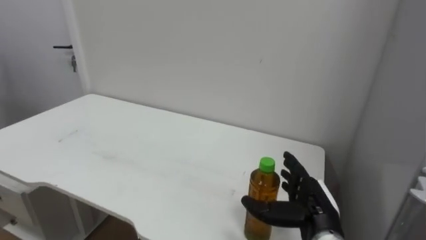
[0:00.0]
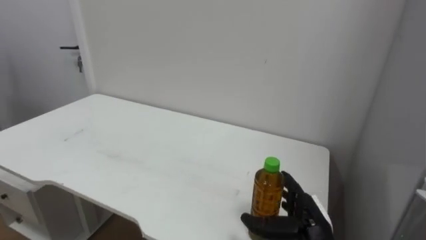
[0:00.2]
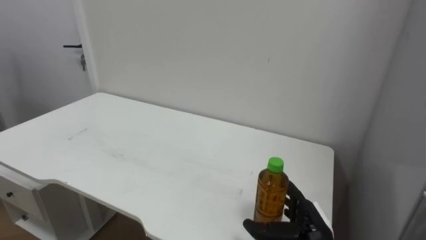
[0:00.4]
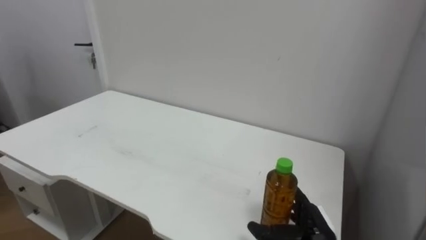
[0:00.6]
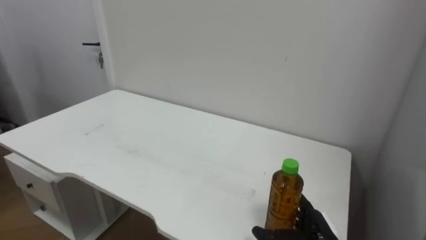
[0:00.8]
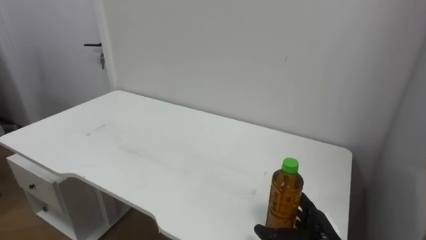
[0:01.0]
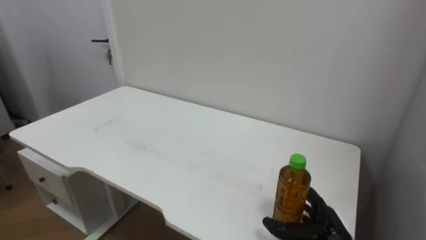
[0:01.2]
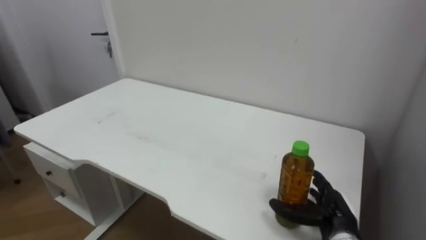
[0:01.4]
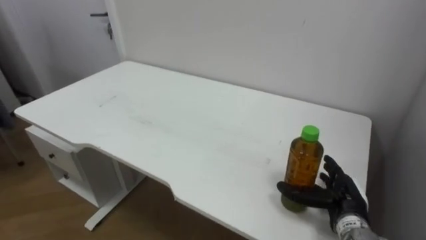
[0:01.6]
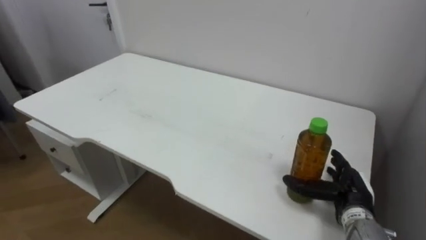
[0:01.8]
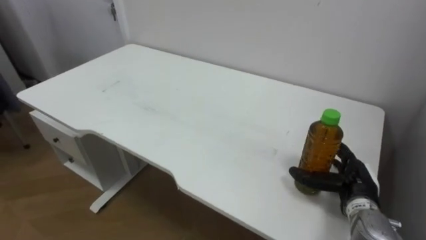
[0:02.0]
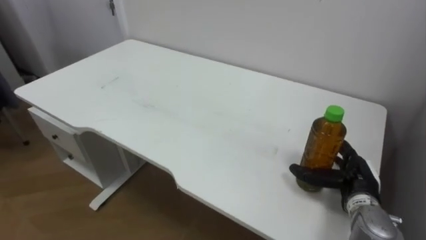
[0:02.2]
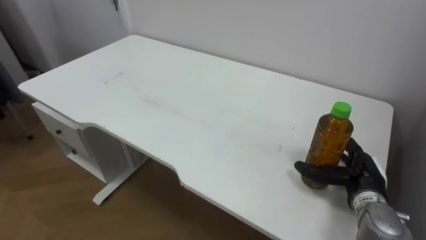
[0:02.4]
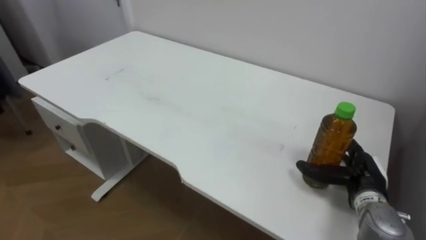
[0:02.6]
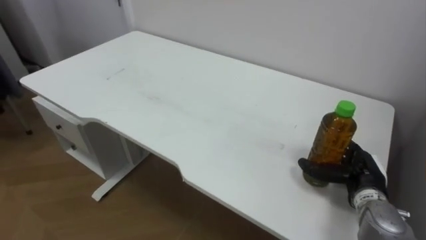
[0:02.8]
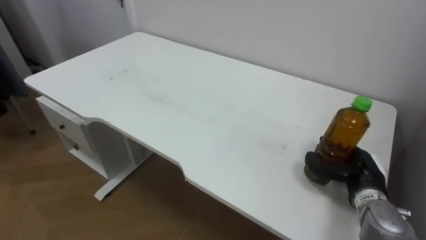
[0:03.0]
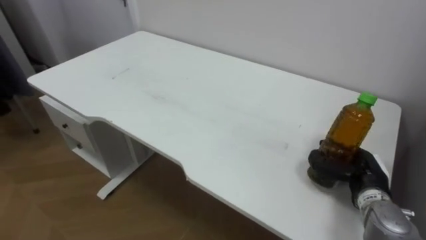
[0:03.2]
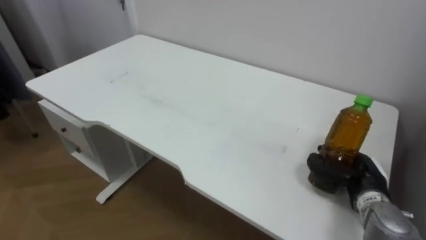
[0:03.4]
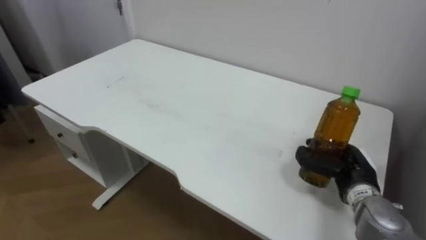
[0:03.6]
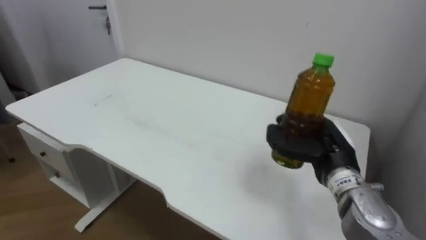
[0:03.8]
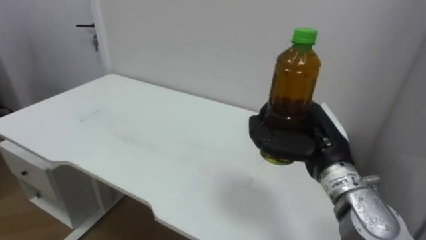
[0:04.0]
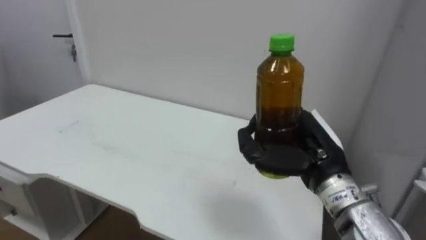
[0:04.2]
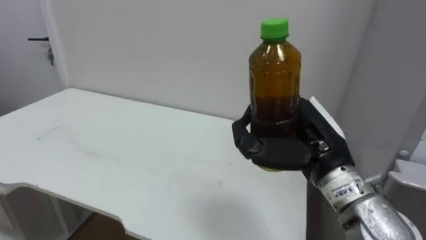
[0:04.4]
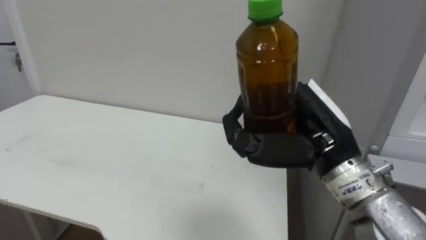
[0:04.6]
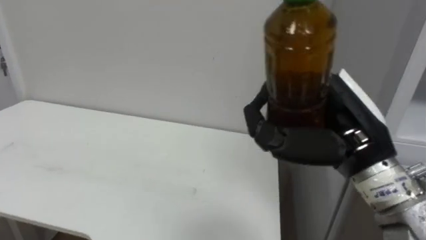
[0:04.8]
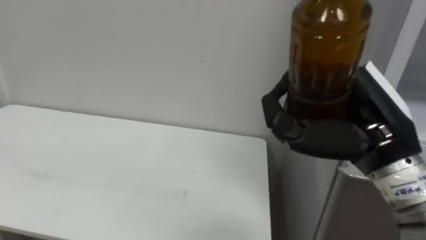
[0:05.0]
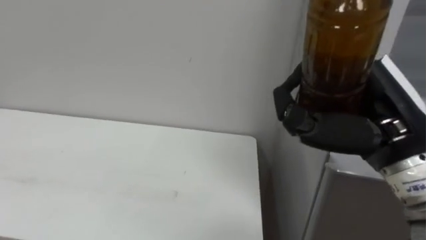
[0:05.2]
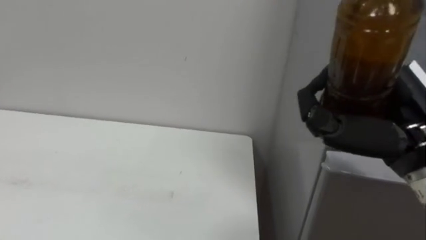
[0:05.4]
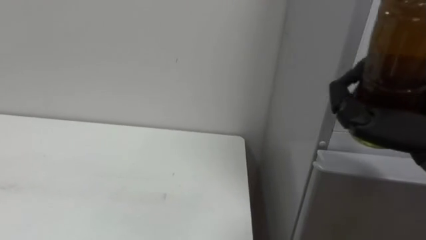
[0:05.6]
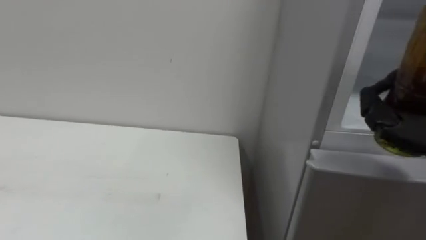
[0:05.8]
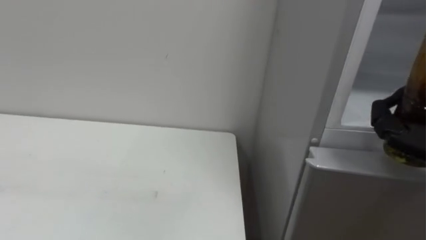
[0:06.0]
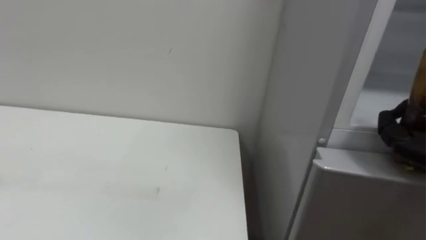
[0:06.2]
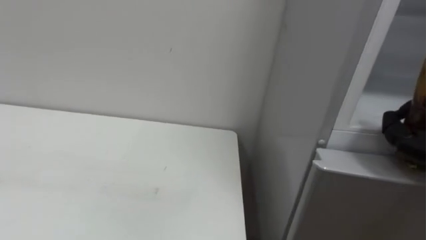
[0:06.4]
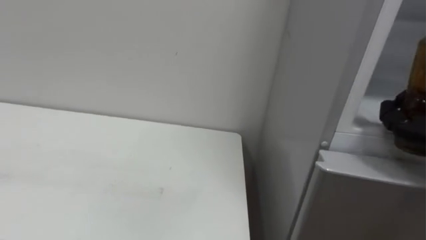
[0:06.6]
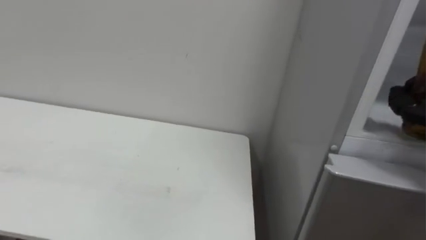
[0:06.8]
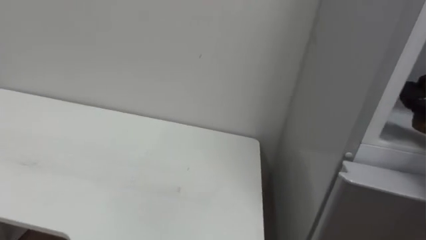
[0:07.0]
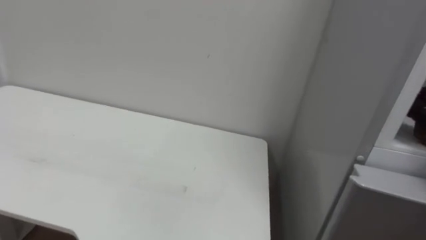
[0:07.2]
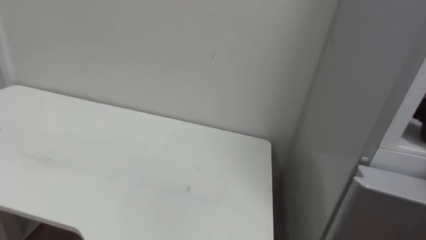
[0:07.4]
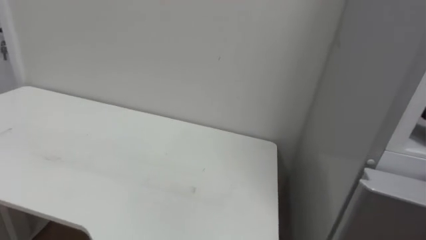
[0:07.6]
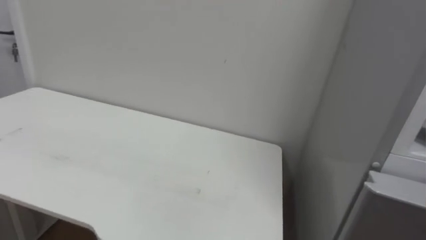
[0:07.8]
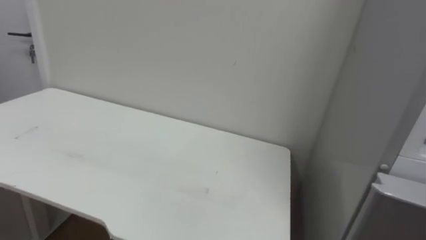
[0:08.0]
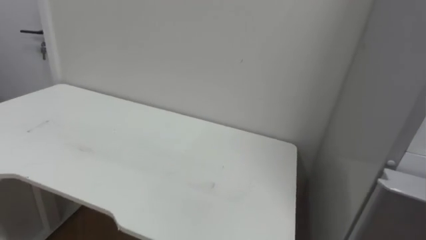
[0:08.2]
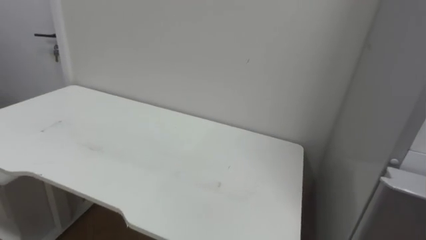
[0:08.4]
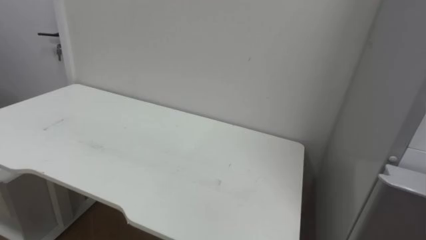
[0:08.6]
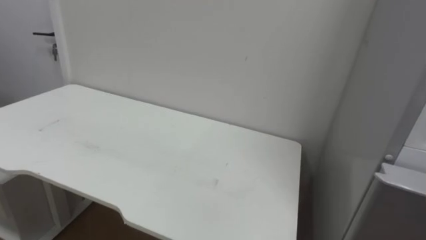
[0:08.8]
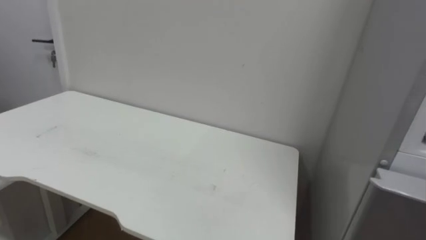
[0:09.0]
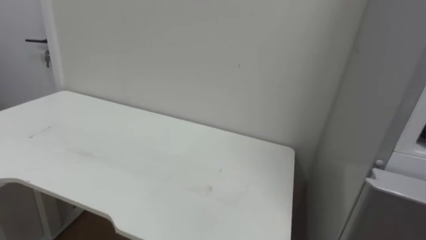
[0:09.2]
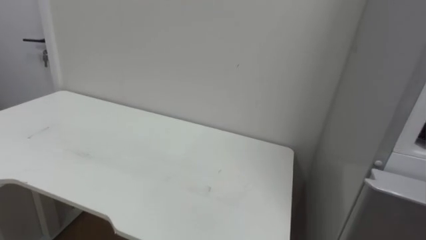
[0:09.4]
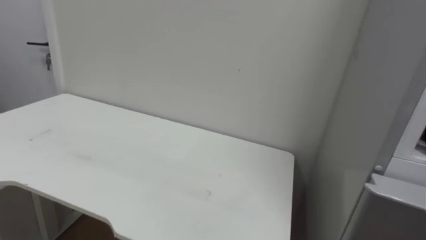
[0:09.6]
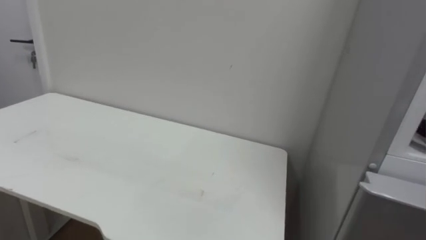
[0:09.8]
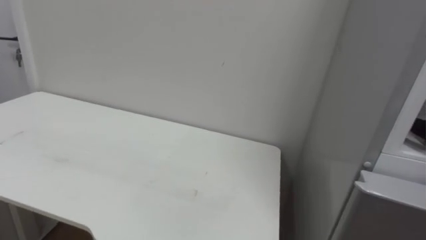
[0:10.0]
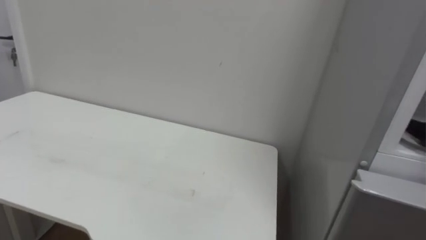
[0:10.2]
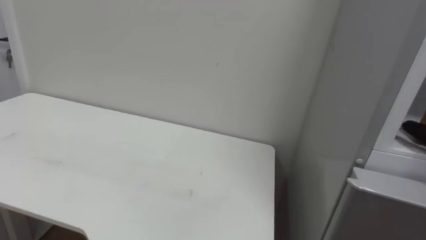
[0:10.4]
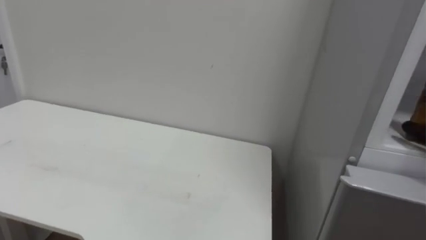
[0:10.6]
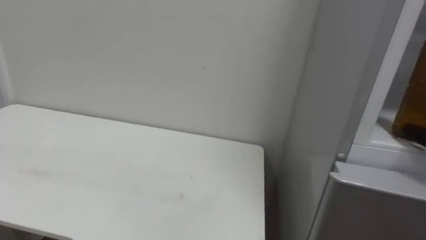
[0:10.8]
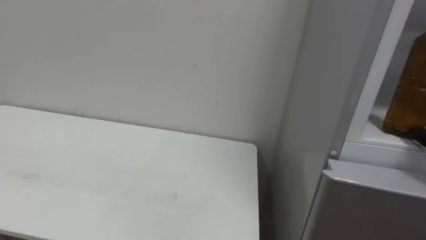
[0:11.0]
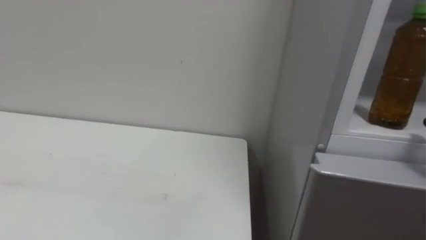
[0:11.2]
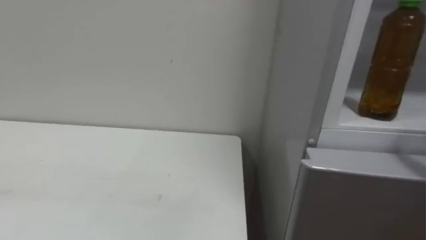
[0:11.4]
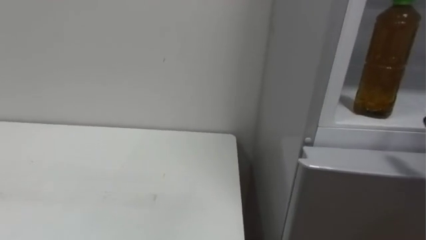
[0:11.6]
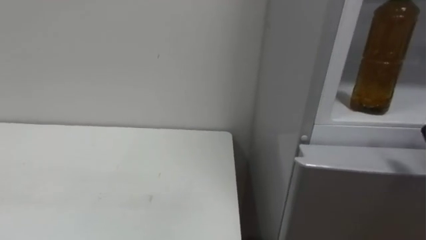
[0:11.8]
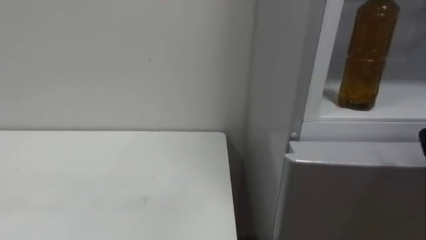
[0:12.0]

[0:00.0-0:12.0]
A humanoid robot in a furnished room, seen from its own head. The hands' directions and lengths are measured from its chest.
Task of the whole recording: Open the upper refrigerator door, put the drink from the table into the refrigerator, and then close the refrigerator door.
0:00.0 to 0:01.6: The right hand is displaced to the right by some 5 cm.
0:01.6 to 0:03.0: The right hand moves approximately 5 cm, and closes up.
0:03.0 to 0:04.4: The right hand moves upward, to the left and backward, about 20 cm, and closes its fingers.

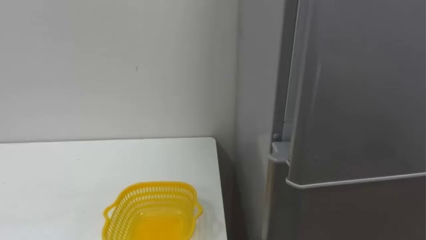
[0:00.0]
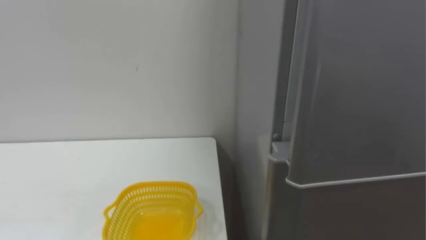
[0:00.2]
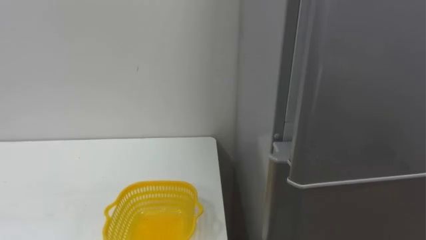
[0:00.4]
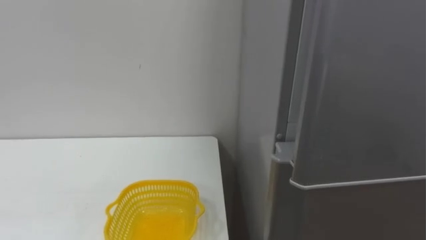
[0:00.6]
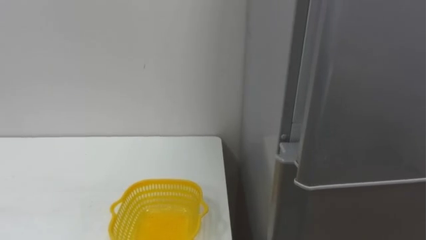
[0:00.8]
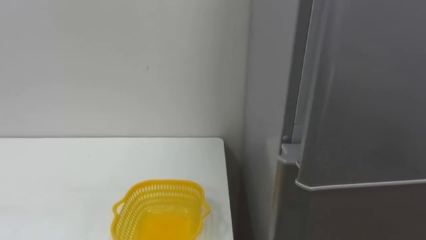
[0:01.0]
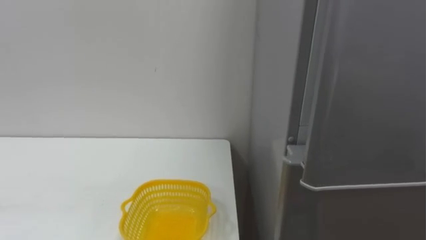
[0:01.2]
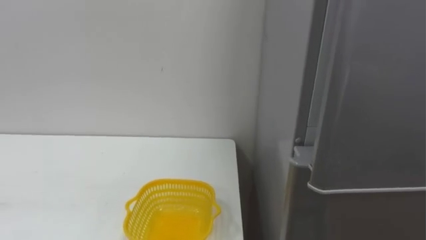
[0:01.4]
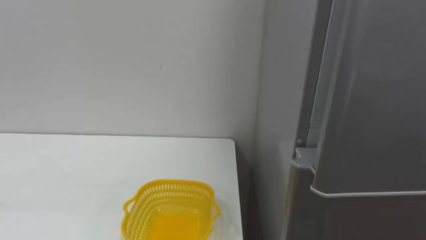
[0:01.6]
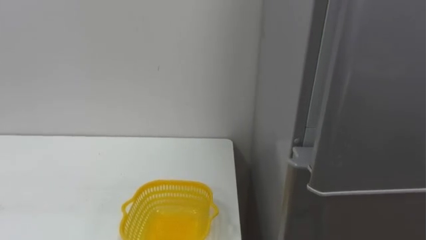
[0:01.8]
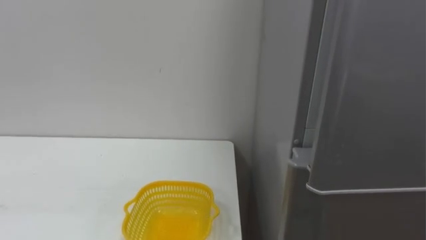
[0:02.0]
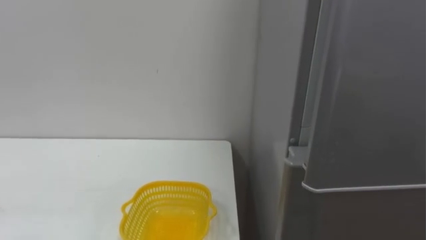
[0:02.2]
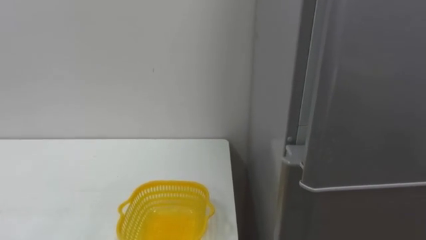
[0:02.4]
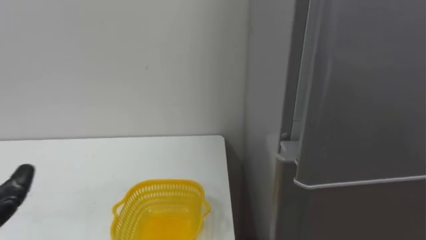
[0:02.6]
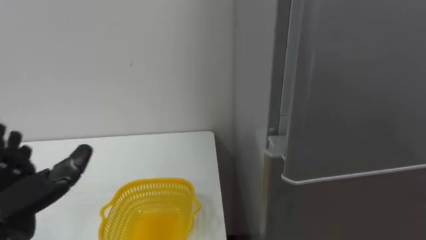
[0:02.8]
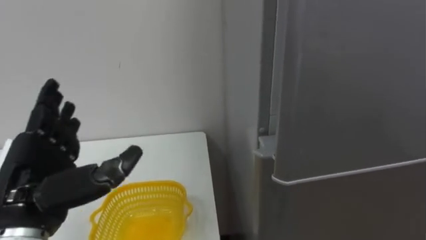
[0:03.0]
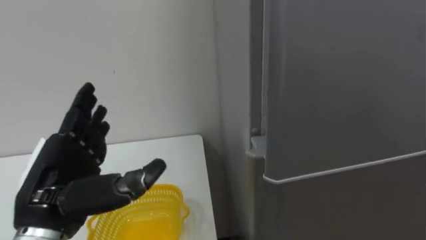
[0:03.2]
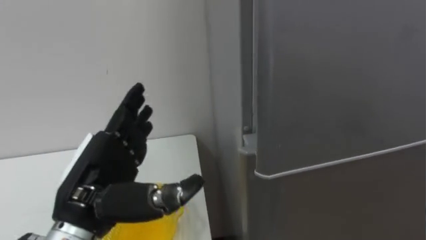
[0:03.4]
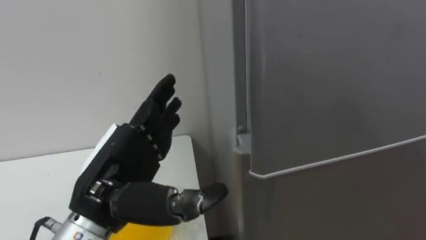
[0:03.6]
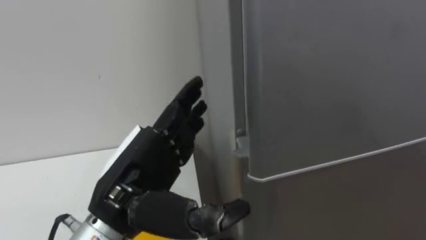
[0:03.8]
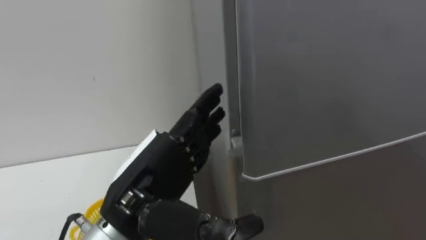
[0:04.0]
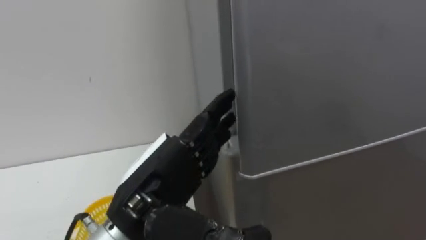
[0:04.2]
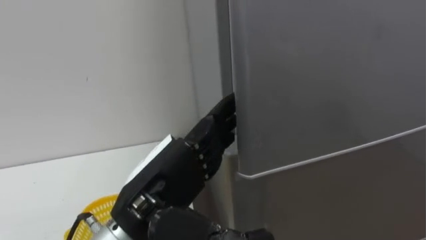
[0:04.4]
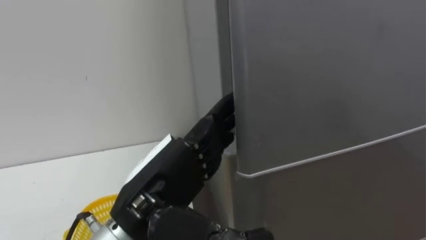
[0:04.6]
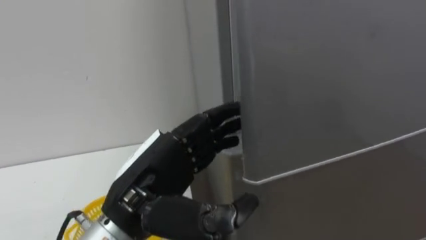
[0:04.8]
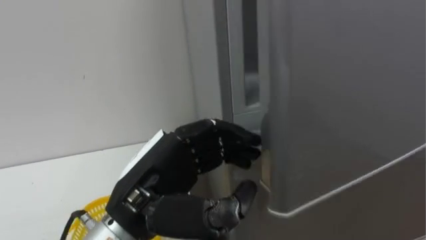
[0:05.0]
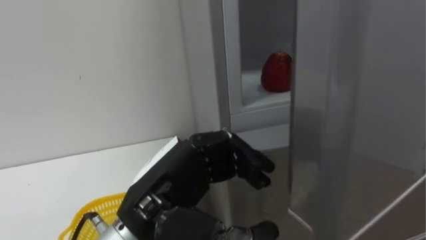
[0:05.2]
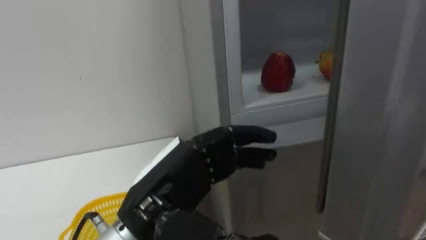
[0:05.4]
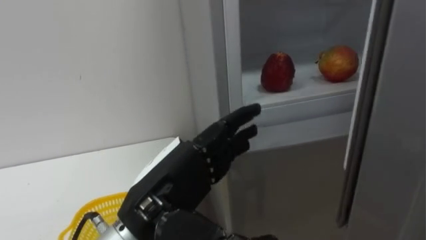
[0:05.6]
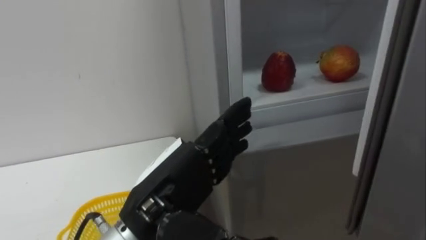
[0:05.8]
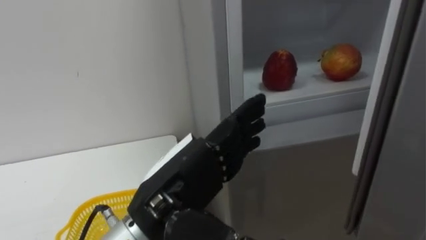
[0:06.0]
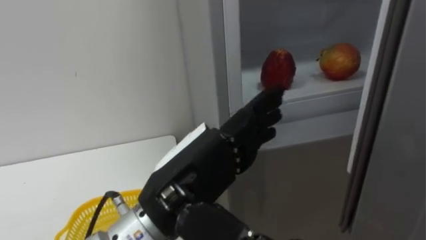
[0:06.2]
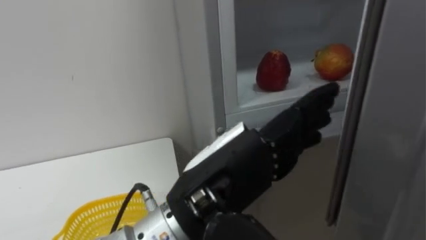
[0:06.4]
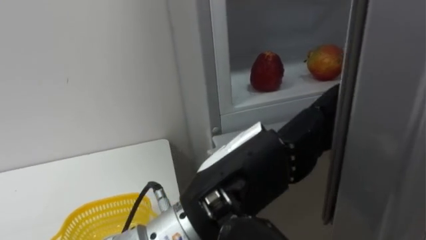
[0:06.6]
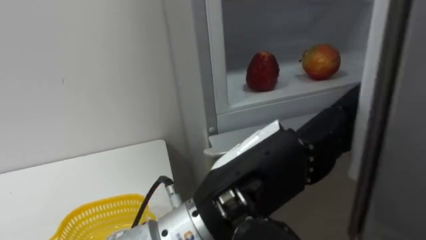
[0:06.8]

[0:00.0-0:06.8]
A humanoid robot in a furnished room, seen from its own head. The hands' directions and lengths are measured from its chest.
Task of the whole recording: Open the refrigerator door, take out the apple and the pomegranate, place them in the fruit basket on the left, and close the refrigerator door.
0:05.4 to 0:06.8: The left hand goes some 10 cm to the right.
